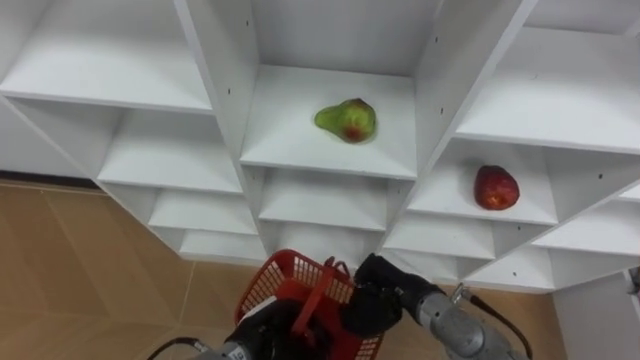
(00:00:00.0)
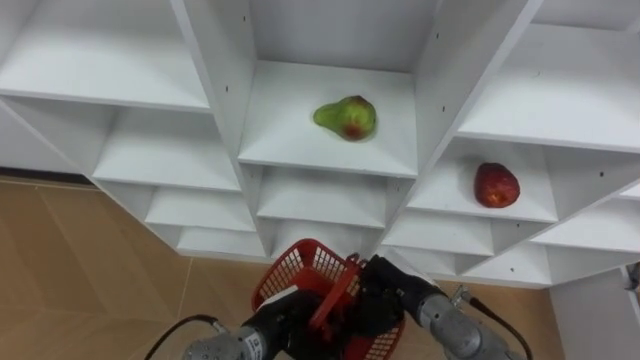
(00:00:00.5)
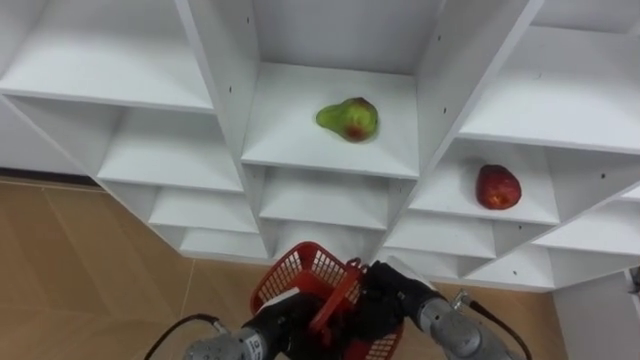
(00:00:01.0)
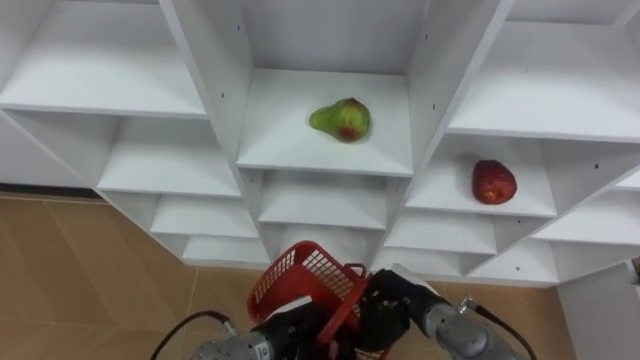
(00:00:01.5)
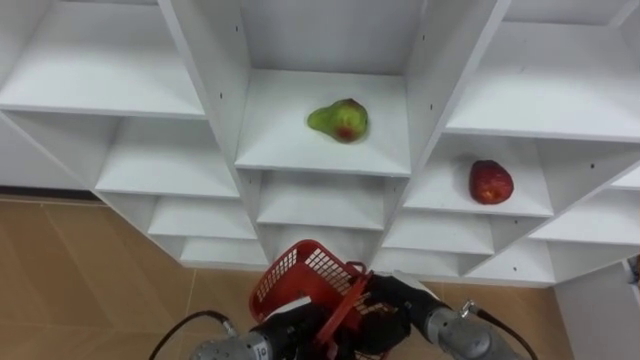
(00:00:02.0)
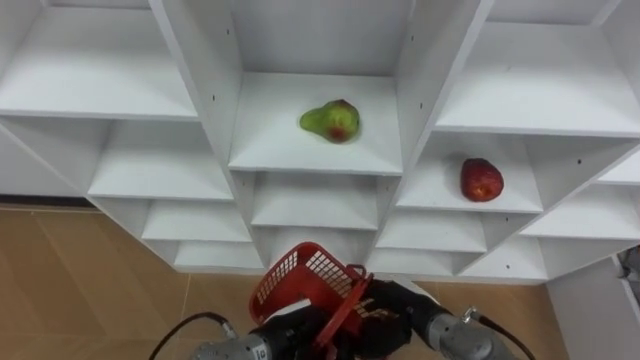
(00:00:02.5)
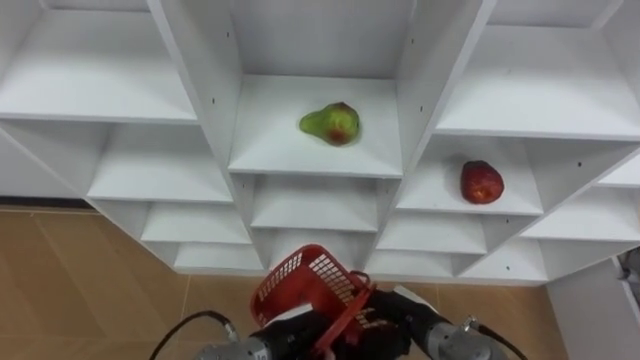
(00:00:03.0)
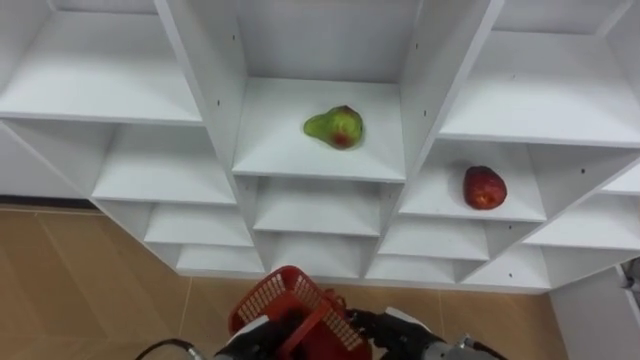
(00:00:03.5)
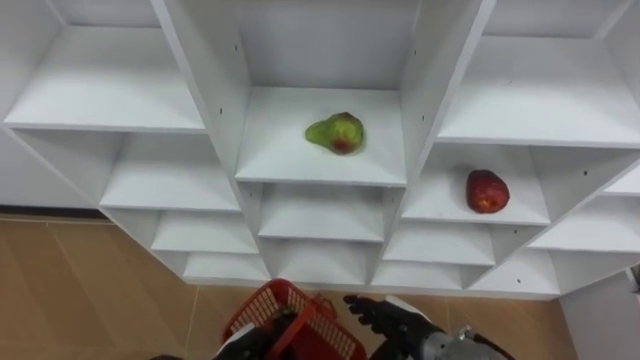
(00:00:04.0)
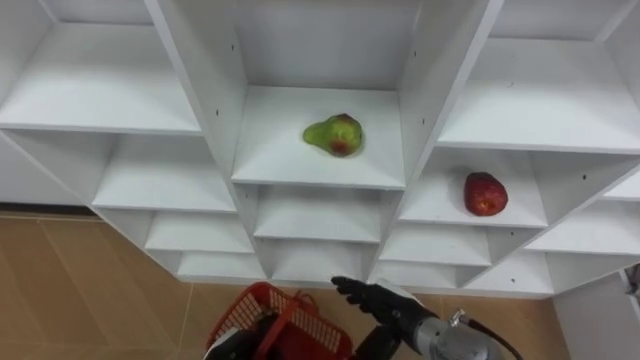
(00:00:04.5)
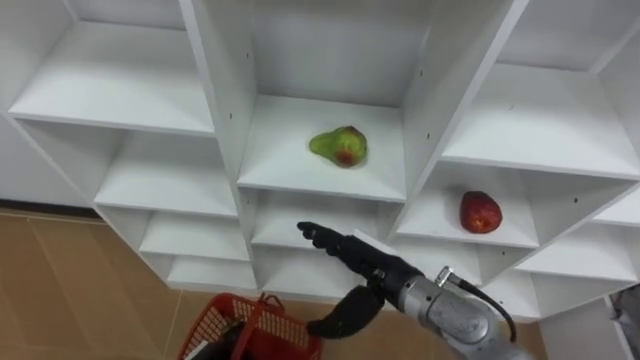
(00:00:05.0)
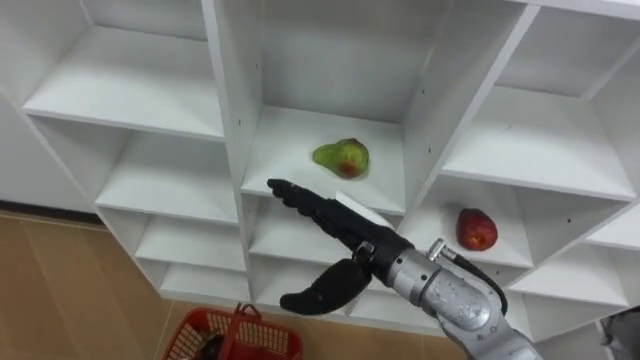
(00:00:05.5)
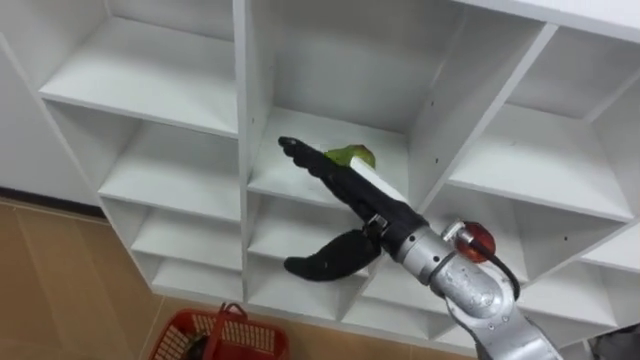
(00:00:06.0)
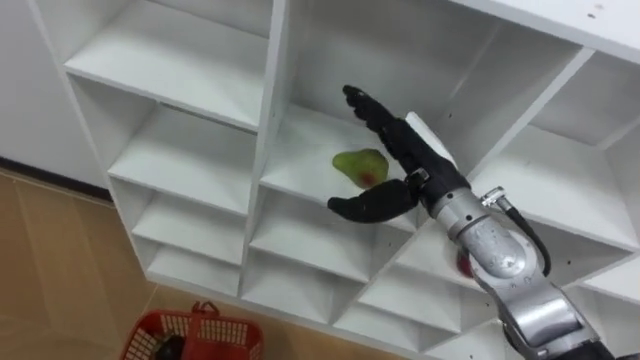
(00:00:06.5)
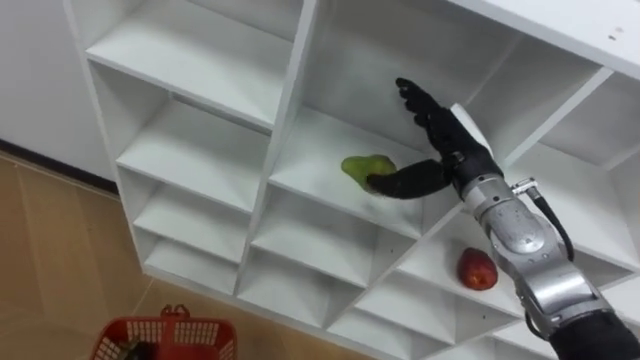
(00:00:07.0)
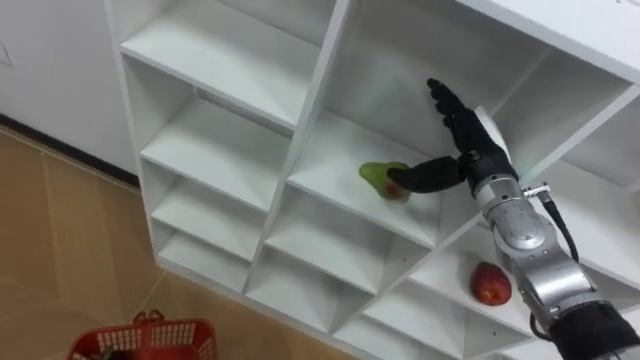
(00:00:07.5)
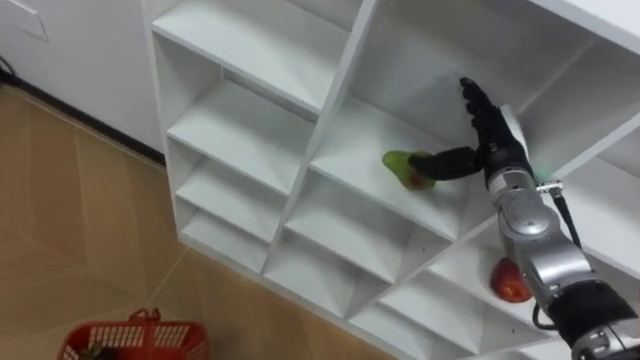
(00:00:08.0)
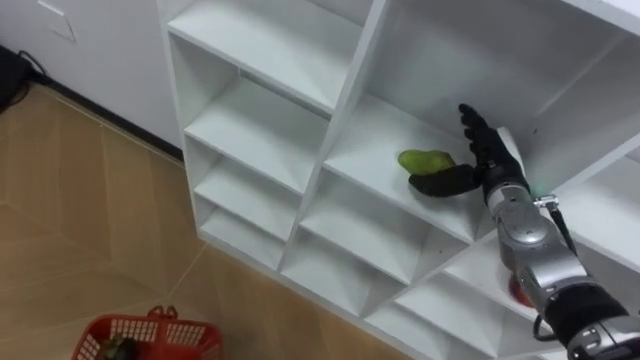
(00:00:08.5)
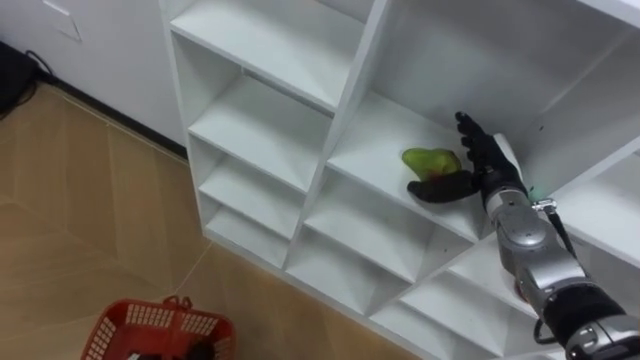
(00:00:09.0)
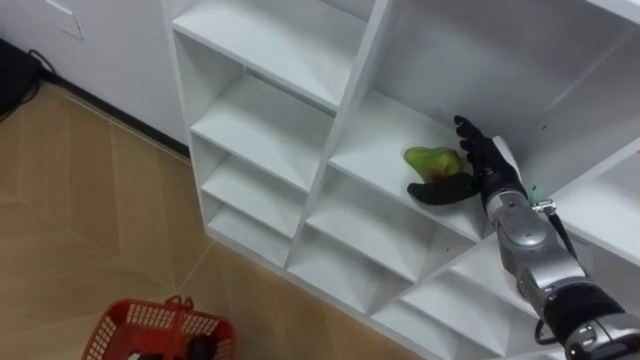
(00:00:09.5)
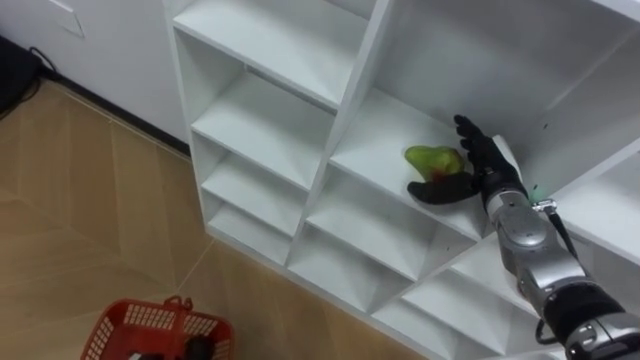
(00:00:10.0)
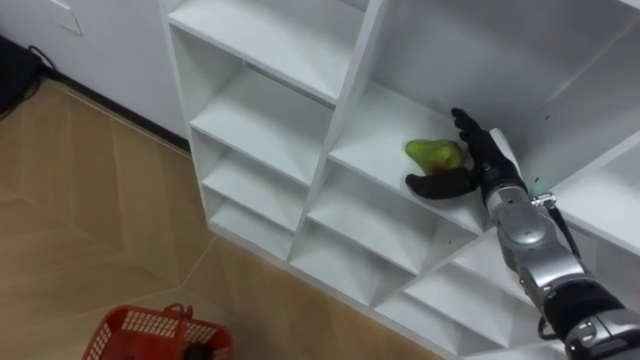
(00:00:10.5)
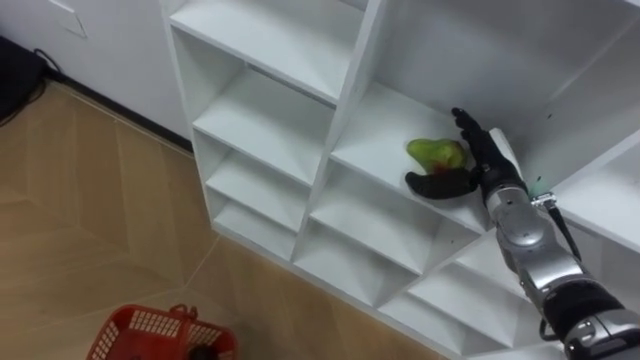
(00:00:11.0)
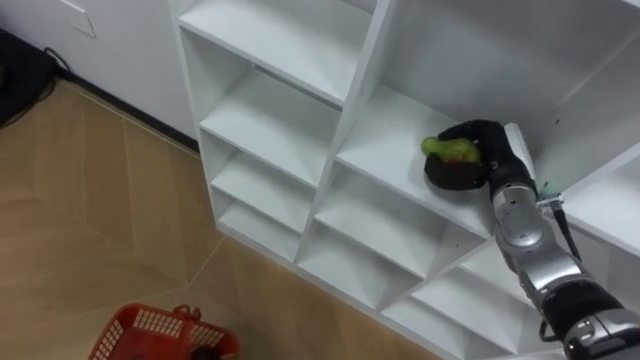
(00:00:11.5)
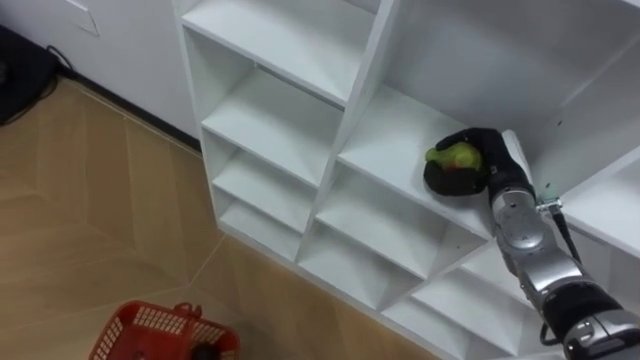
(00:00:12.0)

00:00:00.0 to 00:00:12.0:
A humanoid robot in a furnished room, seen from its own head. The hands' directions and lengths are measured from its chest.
Task of the whole recording: Hold the basket and collect the fruits from 3 different cells of the closet into it.
00:00:00.0 to 00:00:02.0: The right hand opens its fingers.
00:00:02.0 to 00:00:04.0: The left hand is displaced to the left and downward by about 10 cm.
00:00:04.0 to 00:00:06.0: The right hand shifts some 20 cm upward.
00:00:06.0 to 00:00:08.0: The right hand moves to the right and forward, some 20 cm.
00:00:10.0 to 00:00:12.0: The right hand closes up.

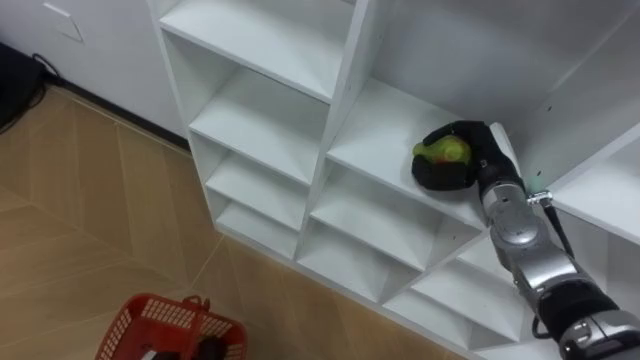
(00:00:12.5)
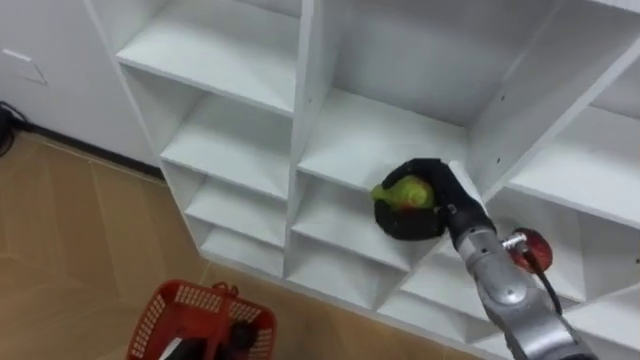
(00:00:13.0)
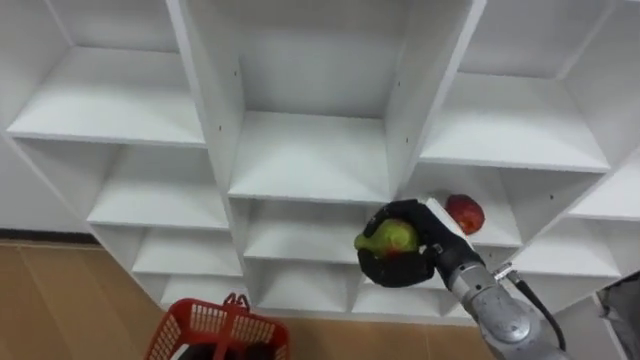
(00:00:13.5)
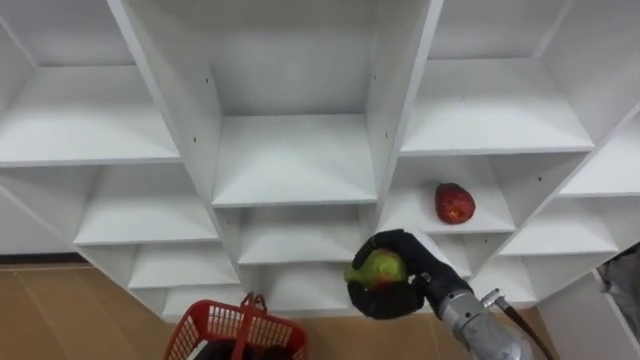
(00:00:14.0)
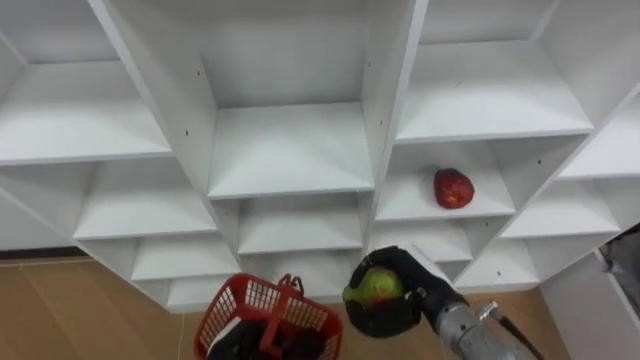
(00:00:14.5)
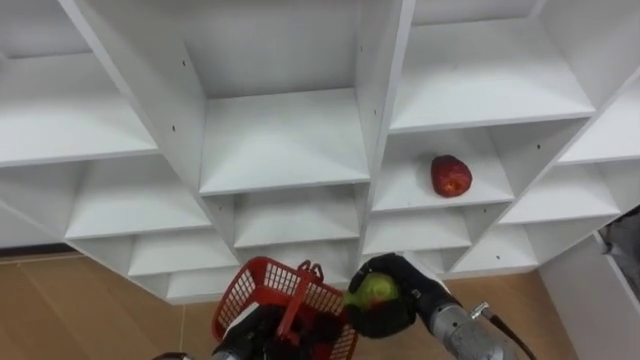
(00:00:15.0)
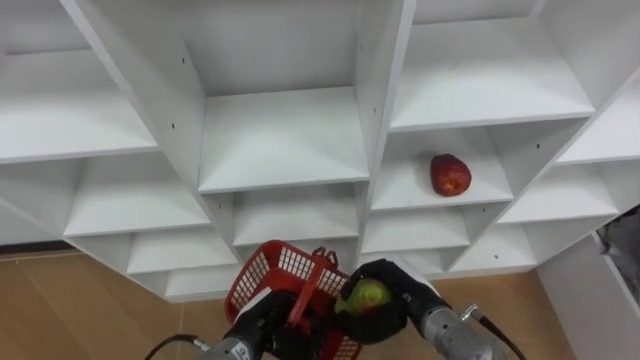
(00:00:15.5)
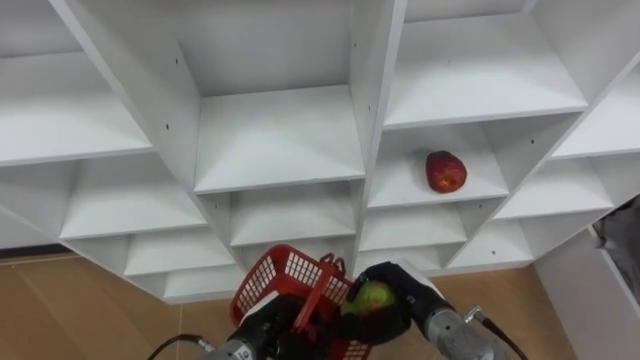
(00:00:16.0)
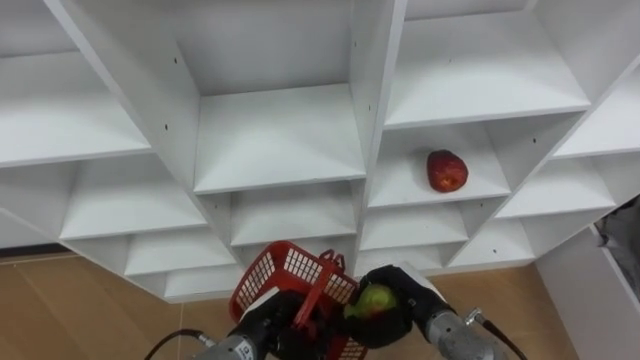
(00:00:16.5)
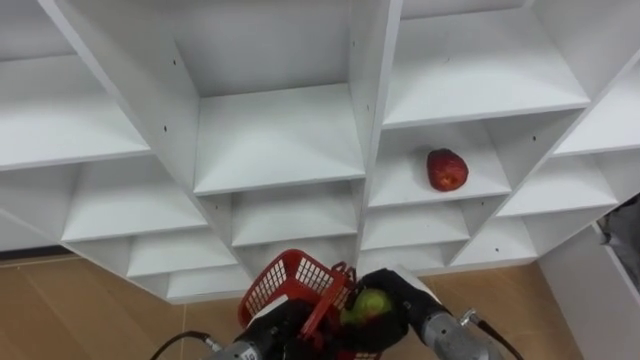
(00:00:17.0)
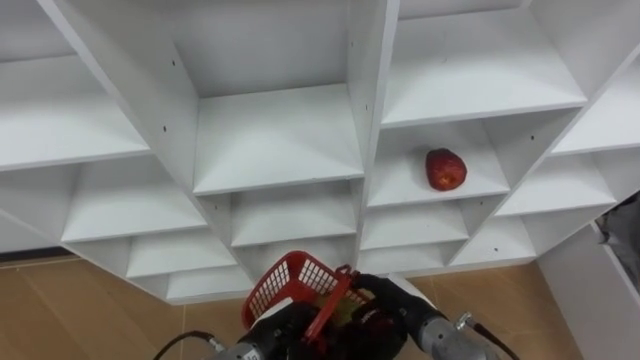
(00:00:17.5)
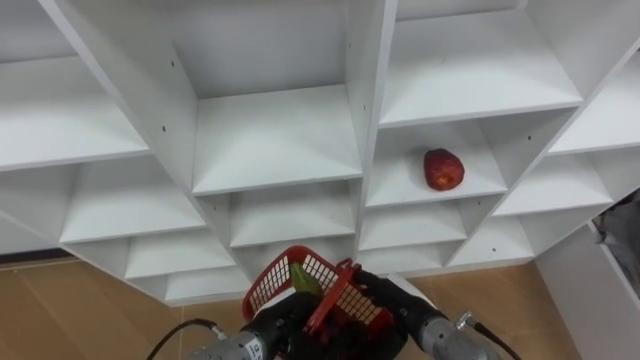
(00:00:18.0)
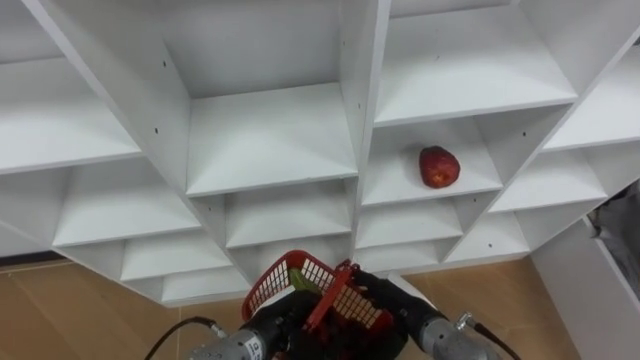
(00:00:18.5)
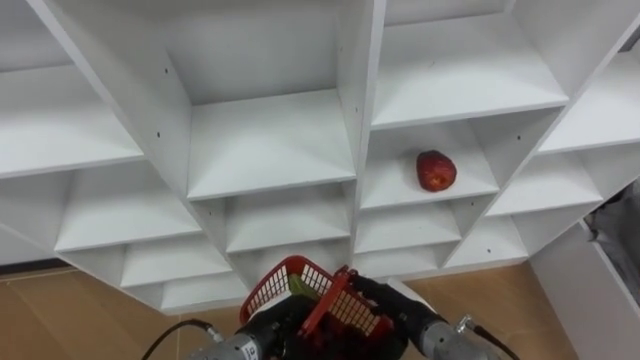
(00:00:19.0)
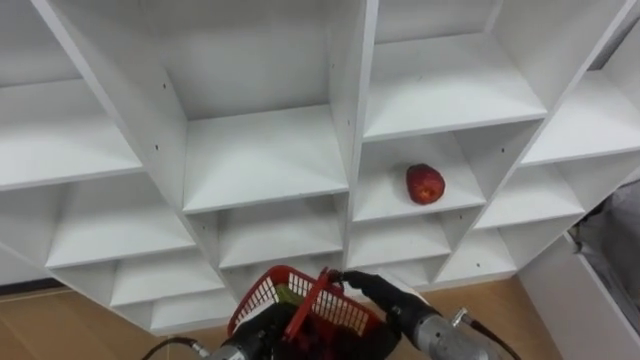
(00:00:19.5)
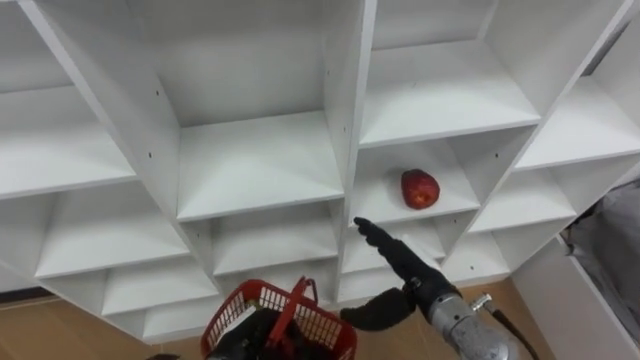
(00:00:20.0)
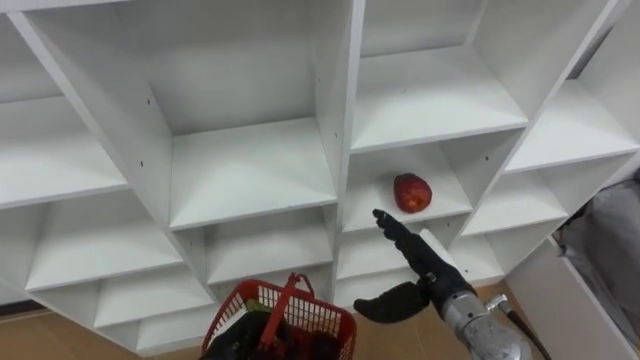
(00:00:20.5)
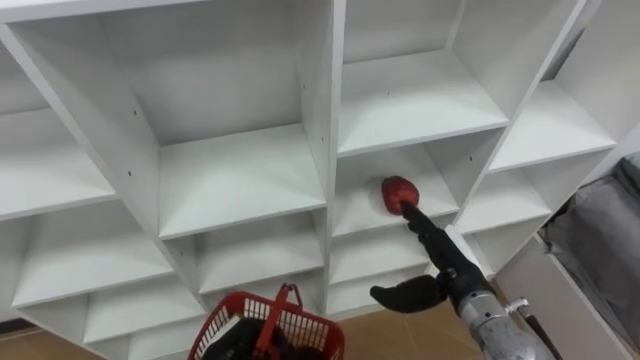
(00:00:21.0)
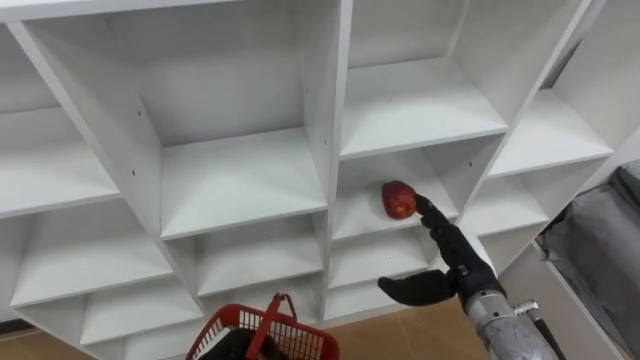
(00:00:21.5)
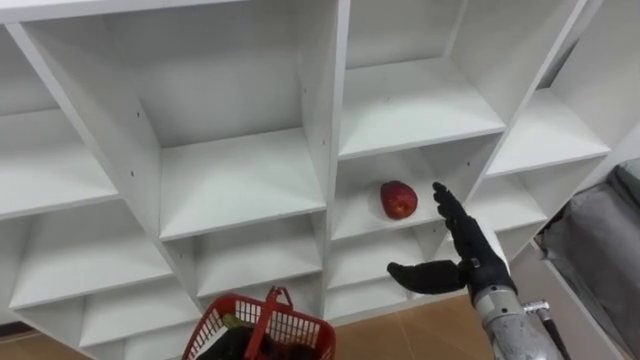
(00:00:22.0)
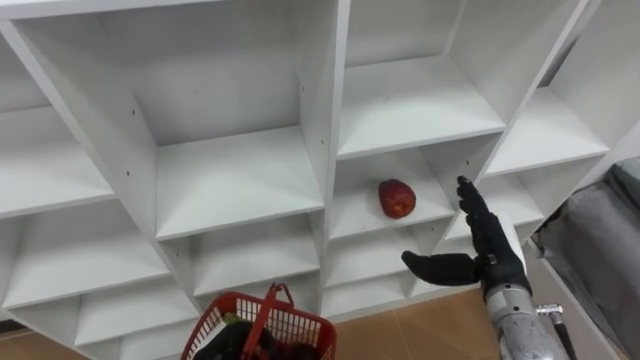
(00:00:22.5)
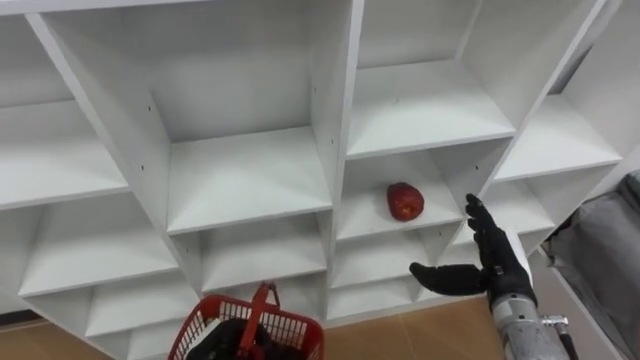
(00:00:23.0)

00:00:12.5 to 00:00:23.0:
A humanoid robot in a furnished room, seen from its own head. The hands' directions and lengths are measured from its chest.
Task of the whole recording: Hold the basket and collect the fruits from 3 different cells of the closet into it.
00:00:12.5 to 00:00:14.5: The right hand travels backward, to the left and downward by roughly 20 cm.
00:00:14.5 to 00:00:16.5: The left hand is displaced to the right by about 5 cm.
00:00:16.5 to 00:00:19.0: The right hand opens.
00:00:19.0 to 00:00:21.0: The right hand shifts about 10 cm upward and to the right, while the left hand shifts about 5 cm to the left.
00:00:21.0 to 00:00:23.0: The right hand moves to the right, approximately 5 cm.
